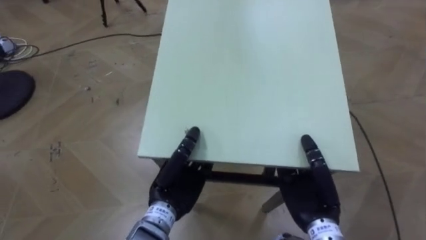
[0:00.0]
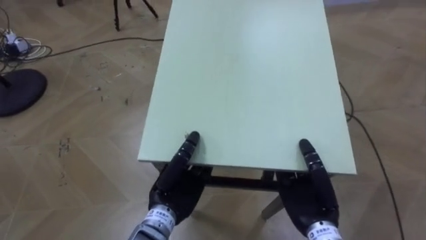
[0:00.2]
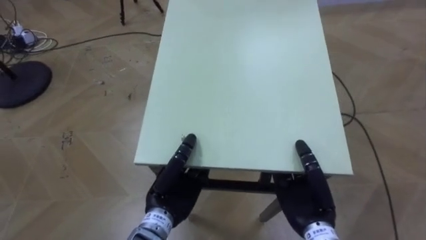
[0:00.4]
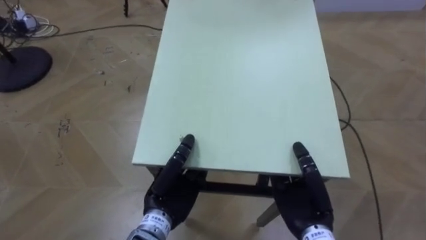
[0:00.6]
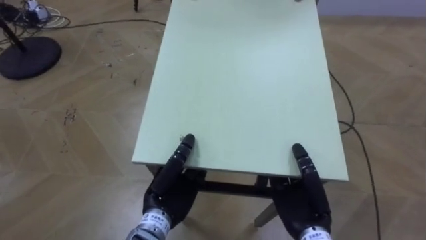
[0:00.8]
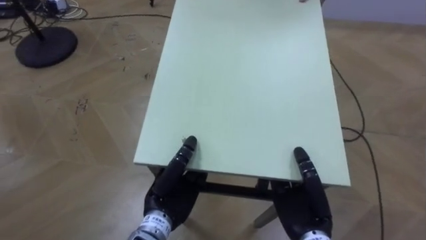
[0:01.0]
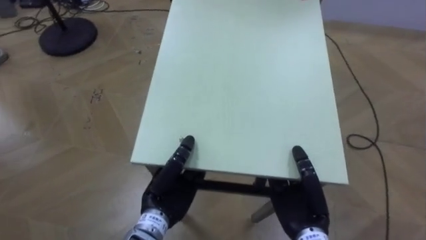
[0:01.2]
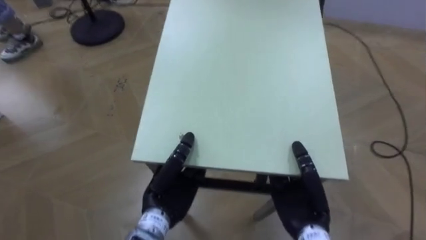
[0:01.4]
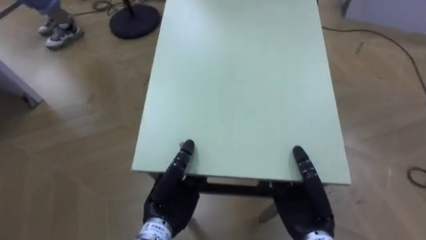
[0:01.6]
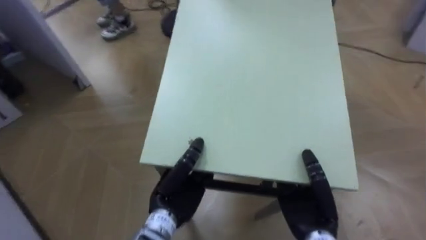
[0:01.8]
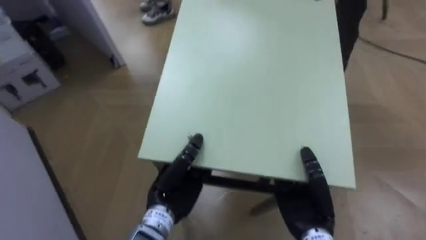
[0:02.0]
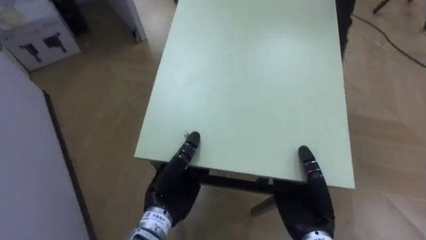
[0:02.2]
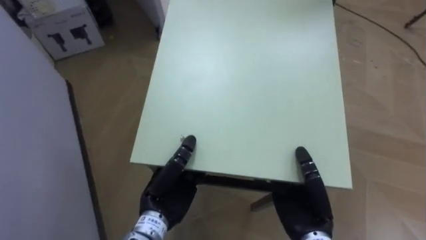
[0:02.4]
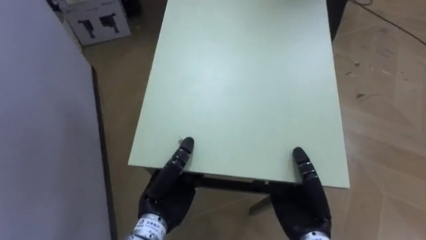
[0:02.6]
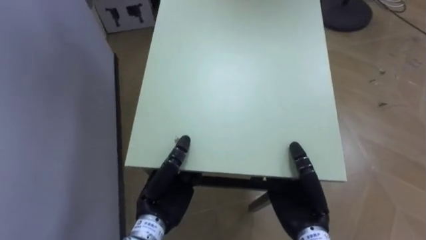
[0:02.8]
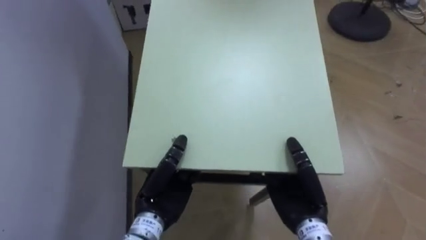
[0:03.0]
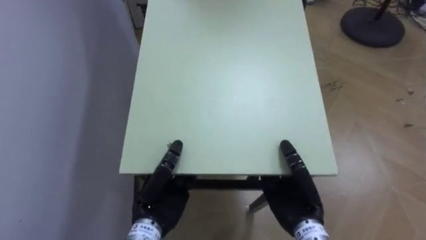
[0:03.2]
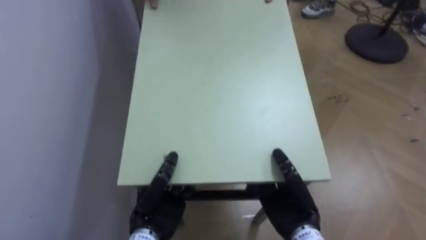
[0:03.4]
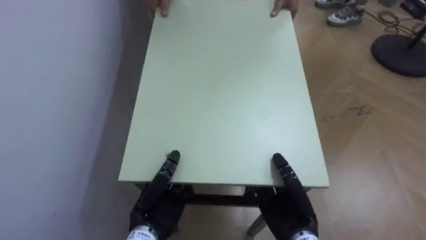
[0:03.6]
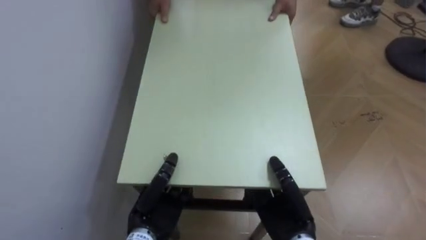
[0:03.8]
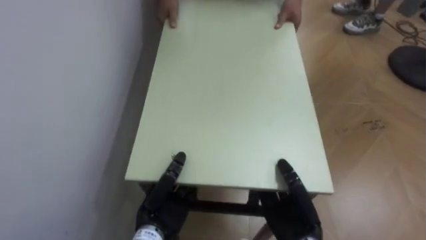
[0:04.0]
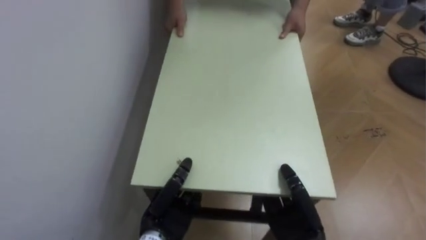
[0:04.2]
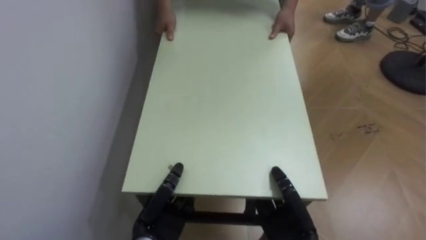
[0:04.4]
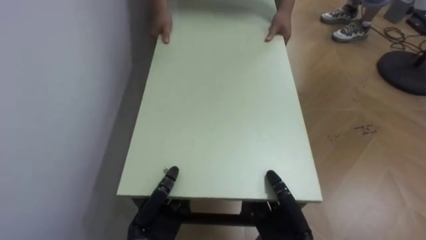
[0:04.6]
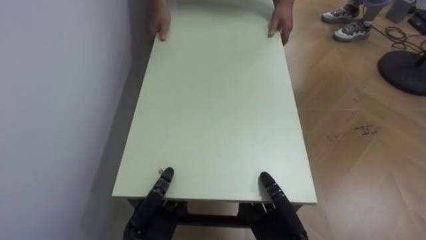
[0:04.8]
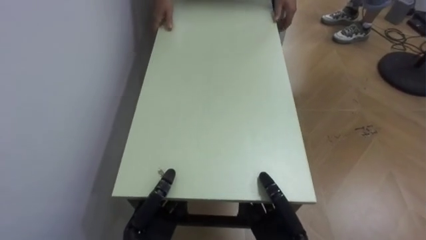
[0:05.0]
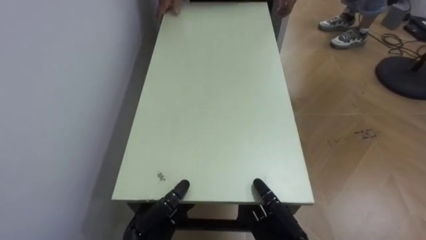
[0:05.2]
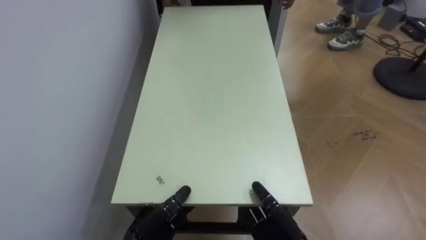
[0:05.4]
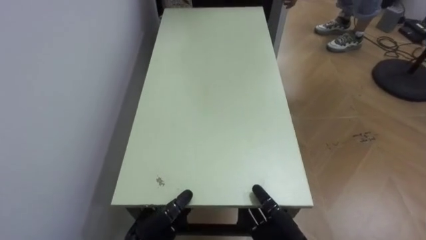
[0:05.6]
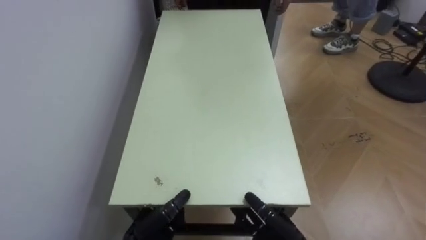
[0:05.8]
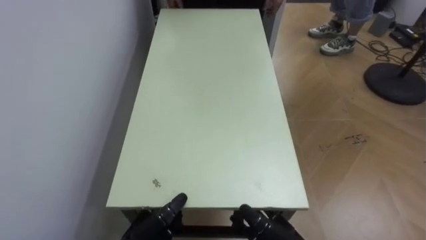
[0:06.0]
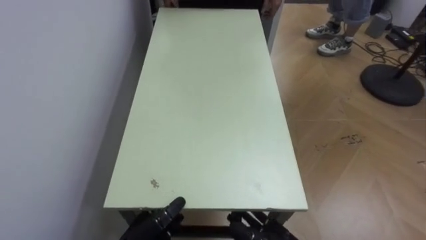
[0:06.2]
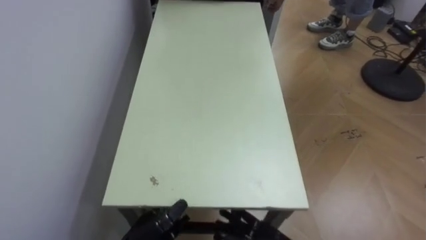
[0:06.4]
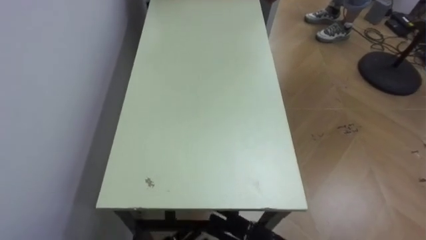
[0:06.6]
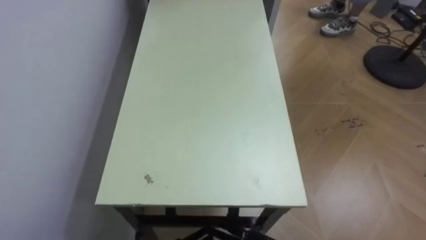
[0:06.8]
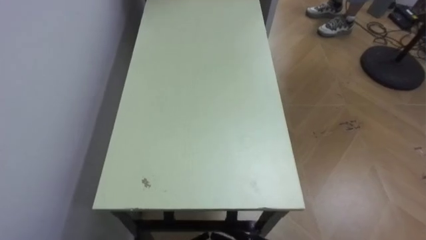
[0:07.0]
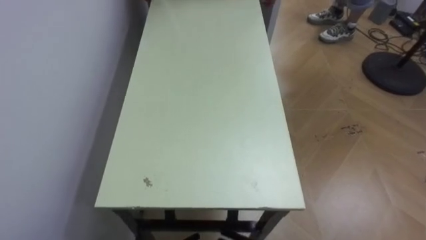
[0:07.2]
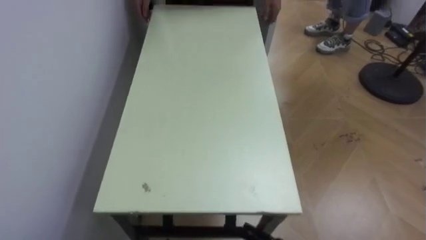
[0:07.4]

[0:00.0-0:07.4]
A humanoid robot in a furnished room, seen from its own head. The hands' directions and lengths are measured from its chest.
Task of the whole recording: Move the table to the back left with someone.
0:00.0 to 0:01.4: The robot rotates some 20 degrees to its left.
0:01.4 to 0:03.0: The robot faces some 60 degrees further to its left.
0:03.0 to 0:04.4: The two hands go about 5 cm downward.
0:04.4 to 0:06.0: The left hand moves approximately 5 cm, and opens up, while the right hand opens its fingers.

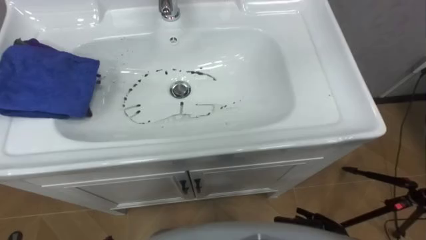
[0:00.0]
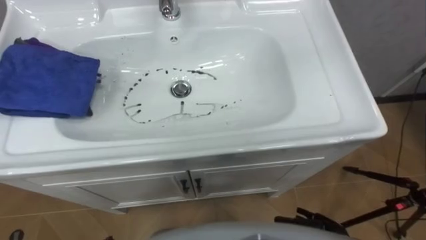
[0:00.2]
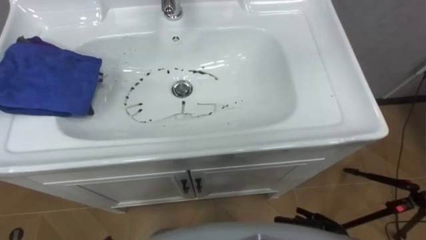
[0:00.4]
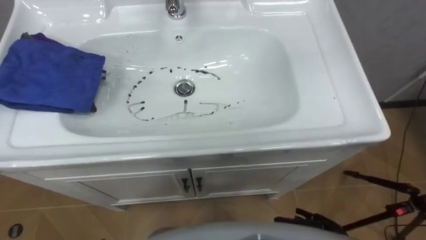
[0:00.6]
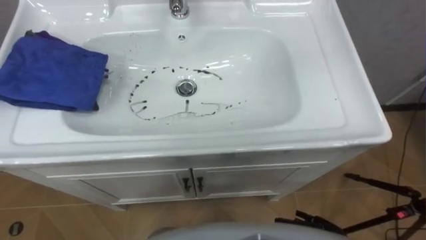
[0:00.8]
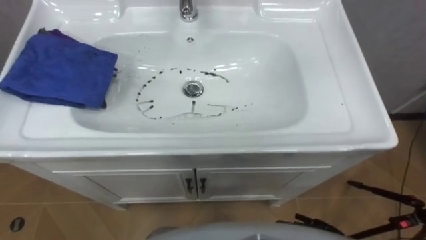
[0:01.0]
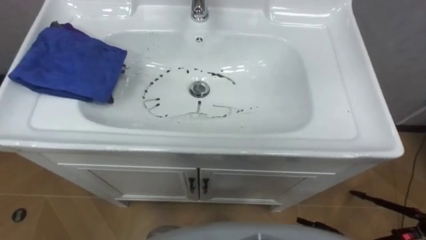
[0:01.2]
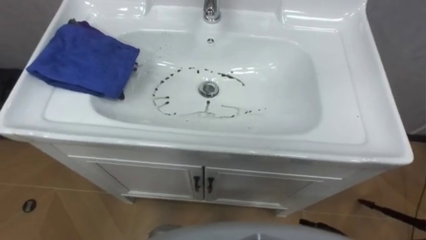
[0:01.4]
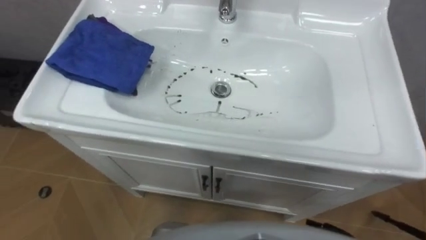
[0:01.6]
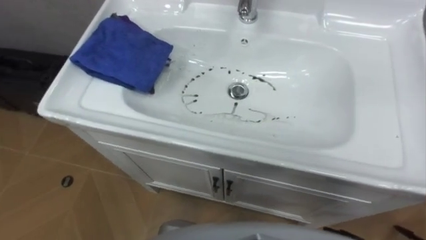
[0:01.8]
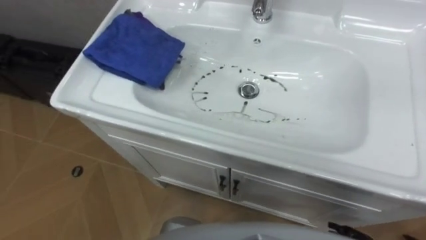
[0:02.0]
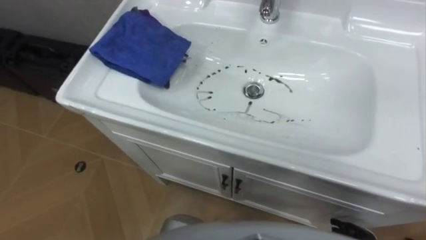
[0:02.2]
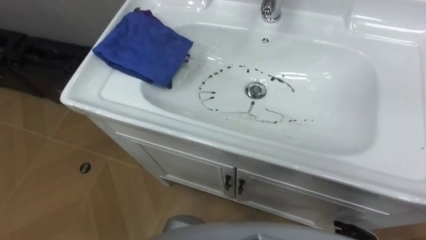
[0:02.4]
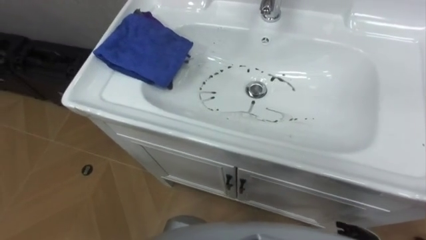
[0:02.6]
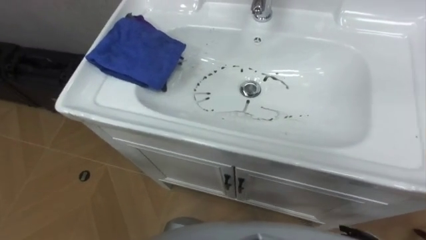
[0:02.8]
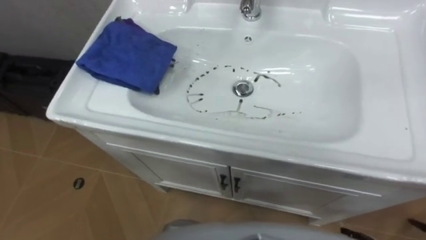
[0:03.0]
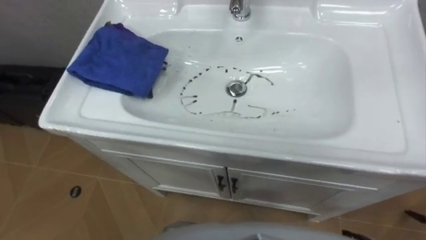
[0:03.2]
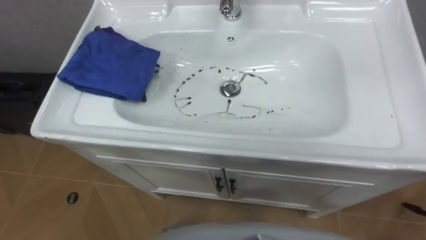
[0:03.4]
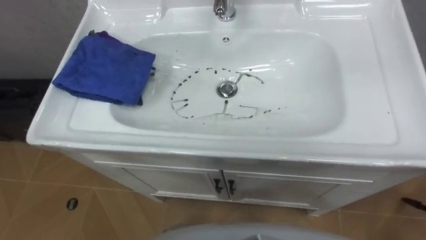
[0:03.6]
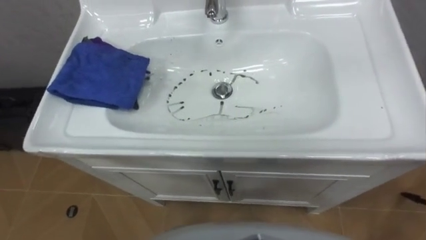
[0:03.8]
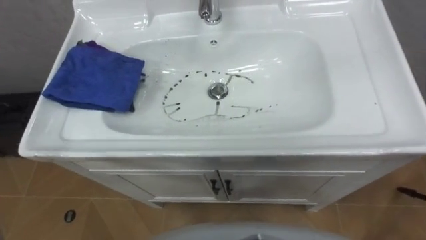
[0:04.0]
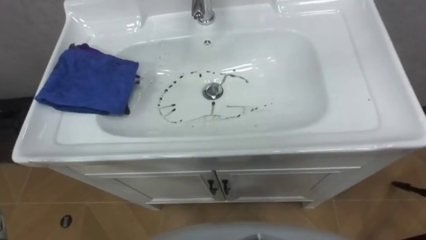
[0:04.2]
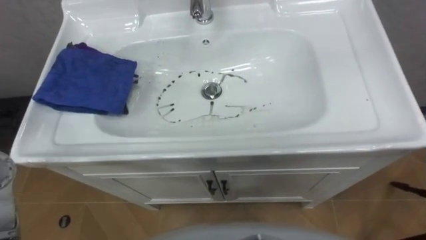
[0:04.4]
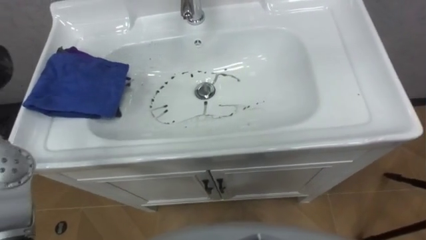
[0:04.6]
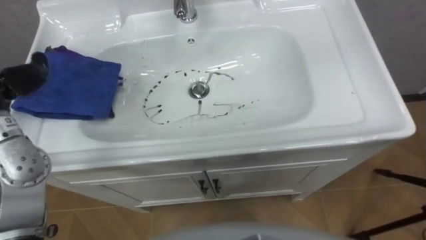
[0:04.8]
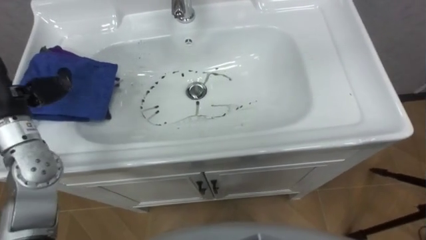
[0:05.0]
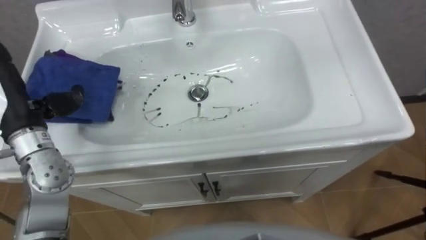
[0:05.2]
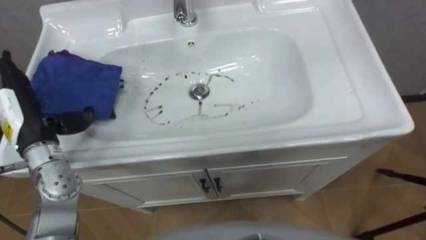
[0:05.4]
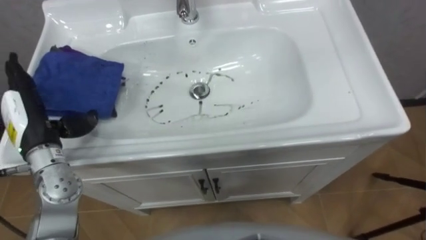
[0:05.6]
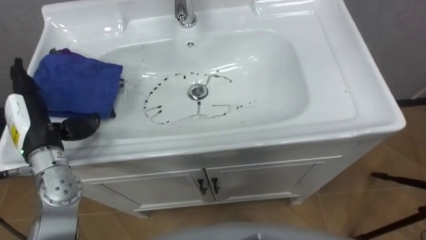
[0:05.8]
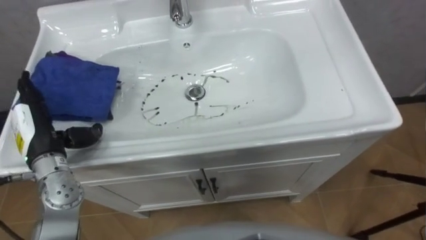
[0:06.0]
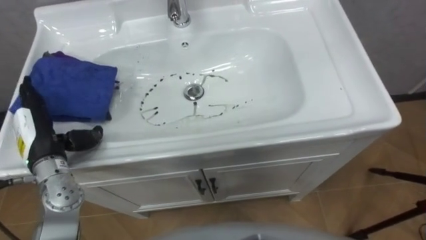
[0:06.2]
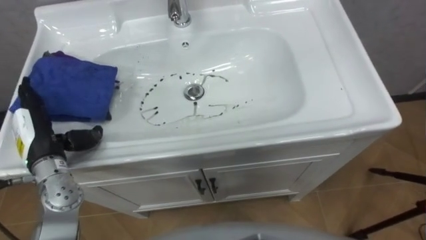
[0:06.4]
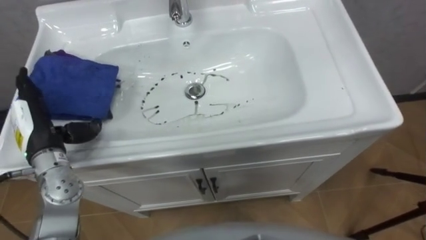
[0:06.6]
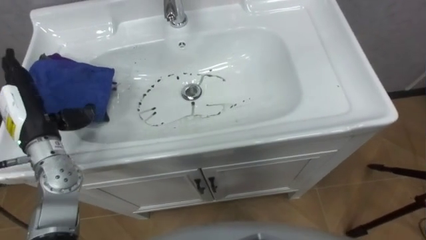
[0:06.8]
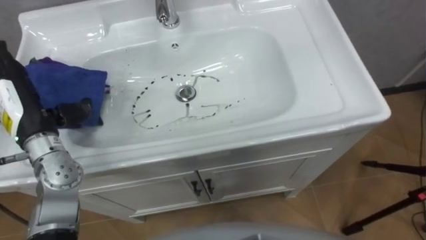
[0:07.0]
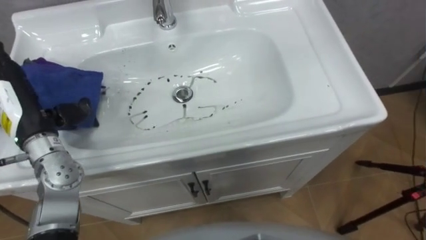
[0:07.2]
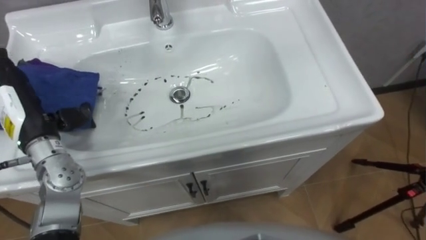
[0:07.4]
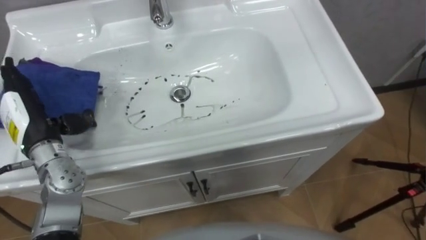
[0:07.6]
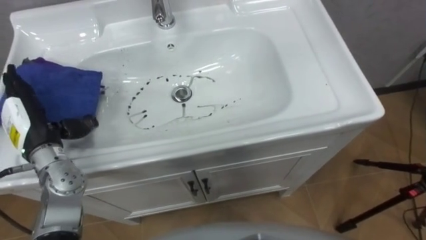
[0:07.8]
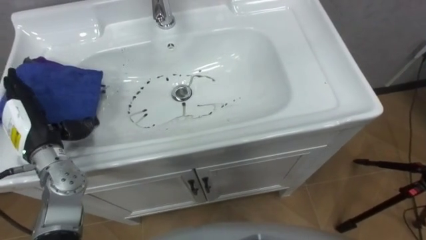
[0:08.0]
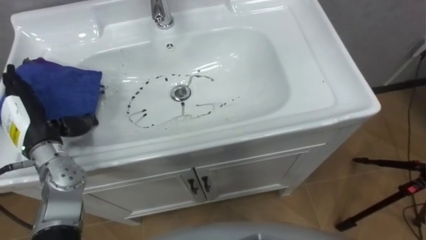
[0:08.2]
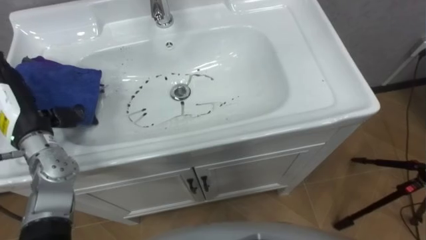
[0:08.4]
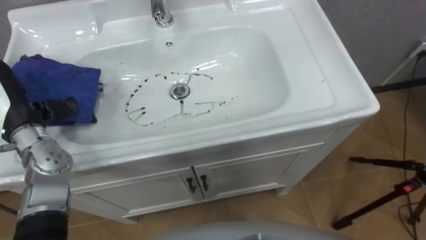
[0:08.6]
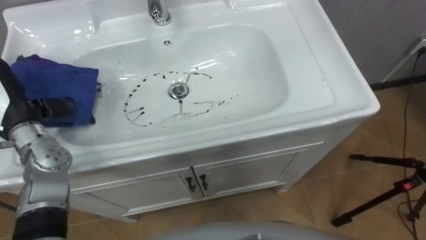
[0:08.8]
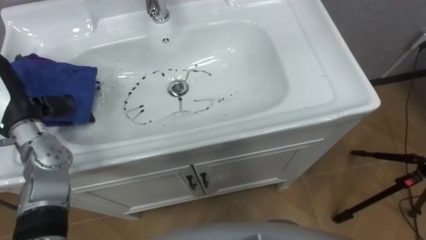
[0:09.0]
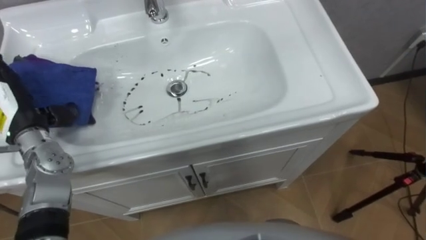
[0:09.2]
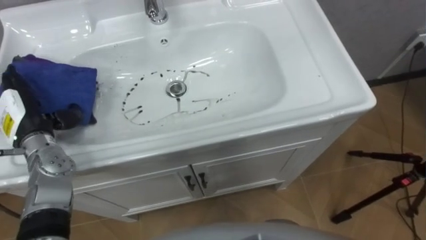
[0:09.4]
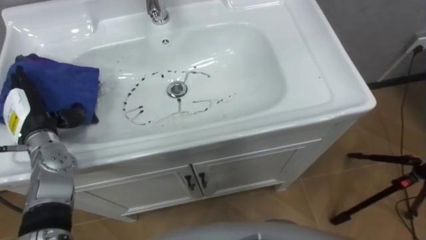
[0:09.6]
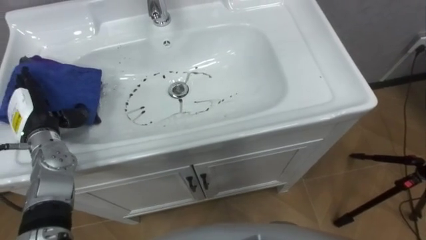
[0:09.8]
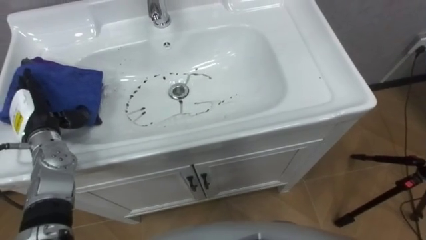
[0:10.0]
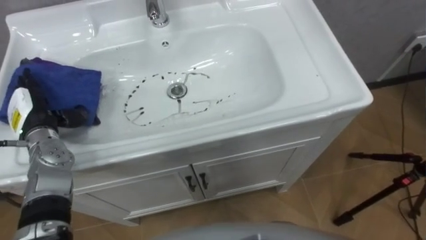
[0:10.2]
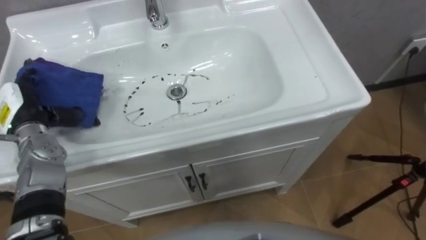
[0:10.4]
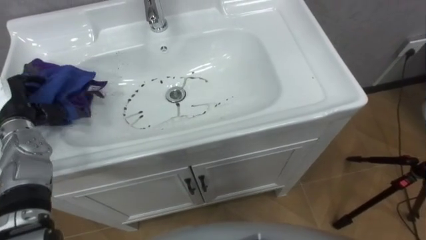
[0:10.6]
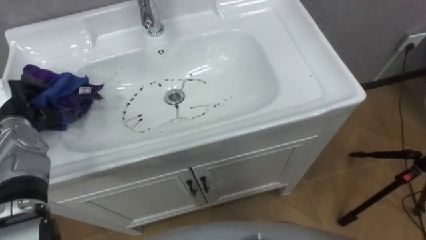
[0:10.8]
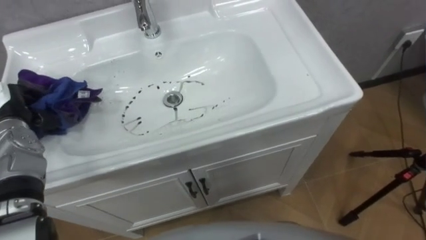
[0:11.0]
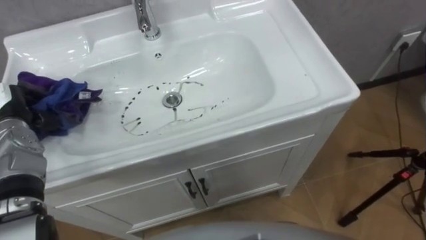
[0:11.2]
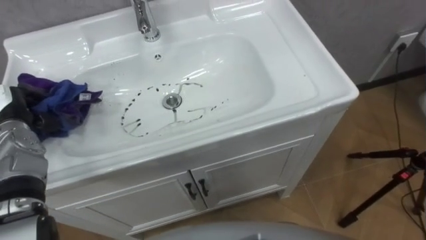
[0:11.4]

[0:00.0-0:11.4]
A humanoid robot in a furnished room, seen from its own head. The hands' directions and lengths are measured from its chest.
Task of the whole recording: Use the cloth on the right to wipe away the black stain in the sink.
0:08.6 to 0:10.0: The left hand shifts about 5 cm downward.
